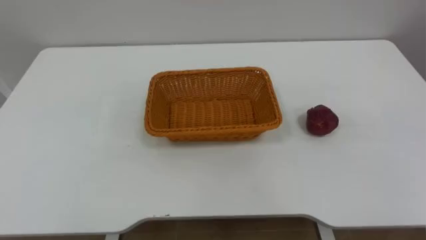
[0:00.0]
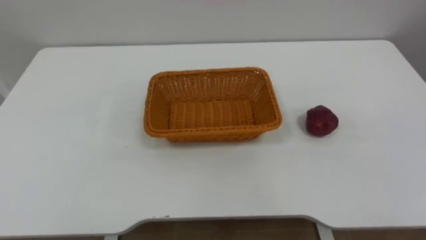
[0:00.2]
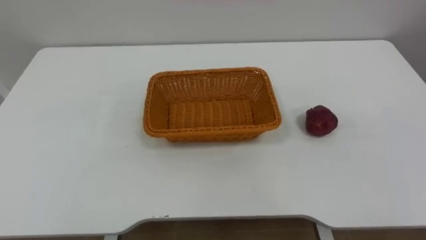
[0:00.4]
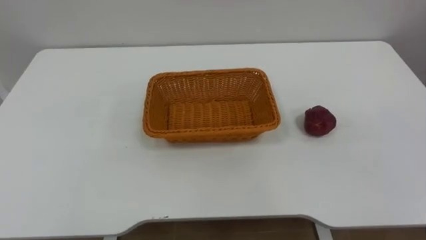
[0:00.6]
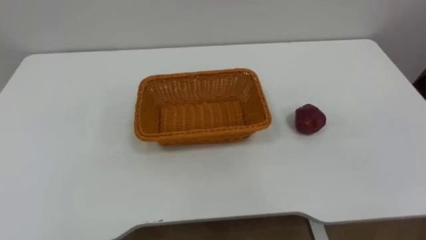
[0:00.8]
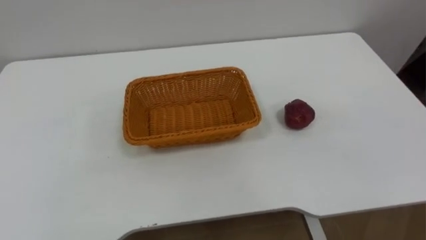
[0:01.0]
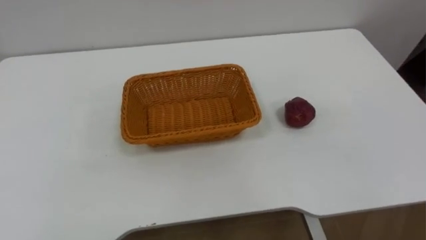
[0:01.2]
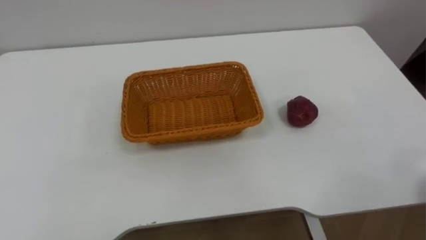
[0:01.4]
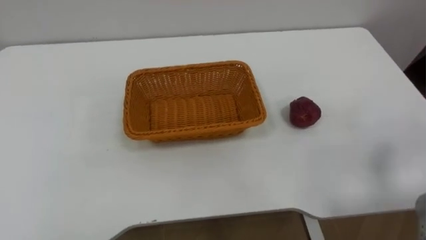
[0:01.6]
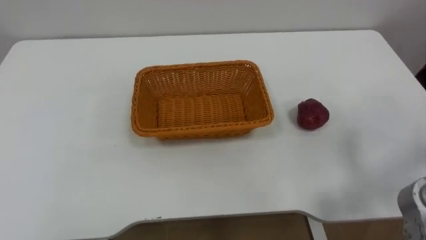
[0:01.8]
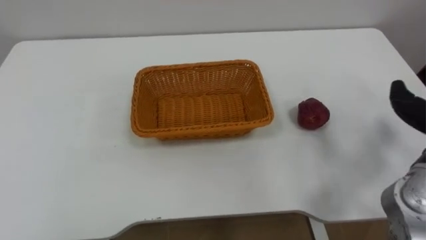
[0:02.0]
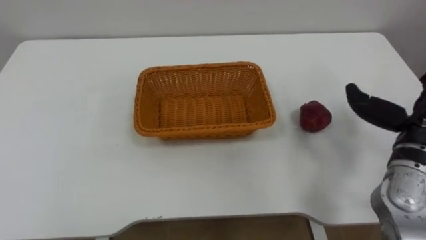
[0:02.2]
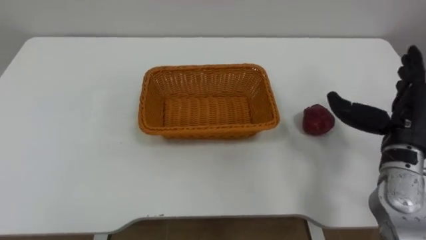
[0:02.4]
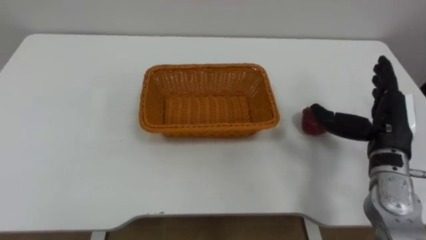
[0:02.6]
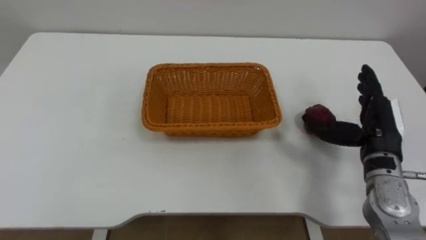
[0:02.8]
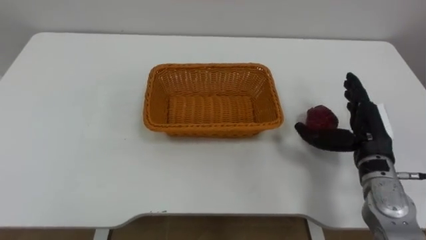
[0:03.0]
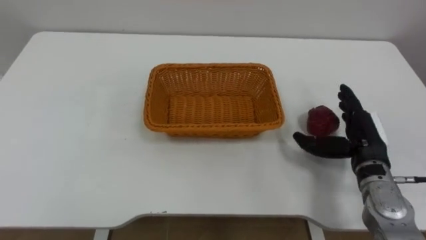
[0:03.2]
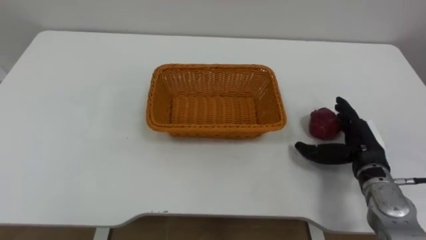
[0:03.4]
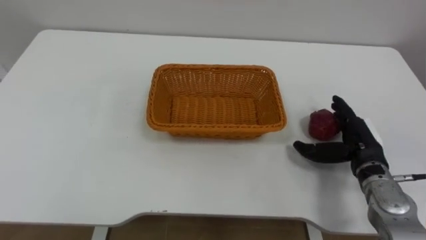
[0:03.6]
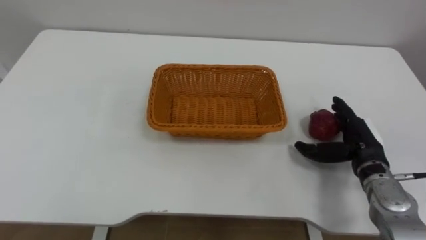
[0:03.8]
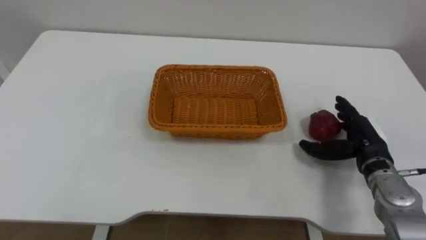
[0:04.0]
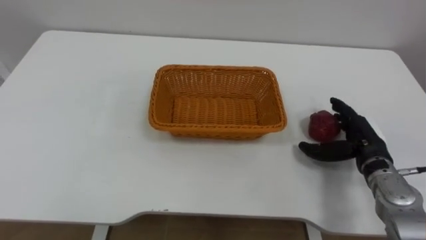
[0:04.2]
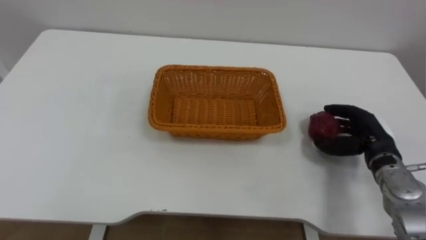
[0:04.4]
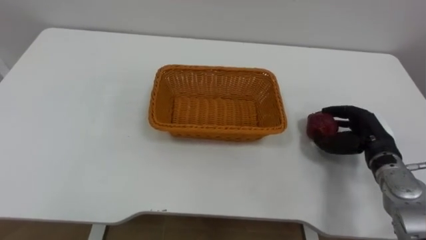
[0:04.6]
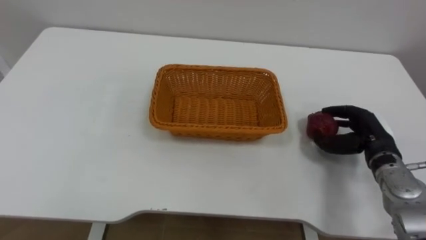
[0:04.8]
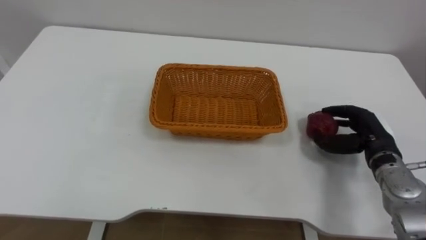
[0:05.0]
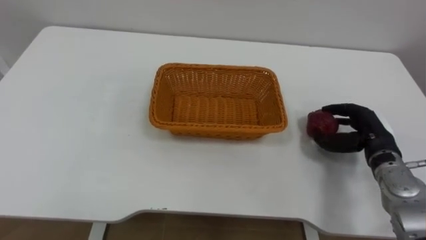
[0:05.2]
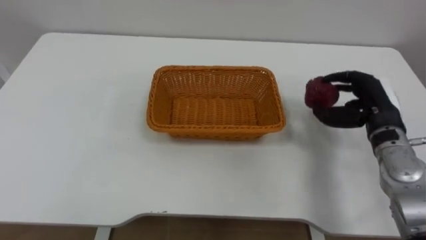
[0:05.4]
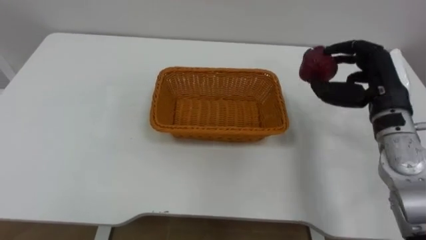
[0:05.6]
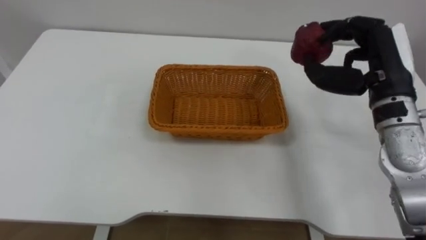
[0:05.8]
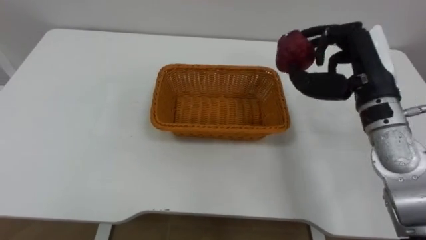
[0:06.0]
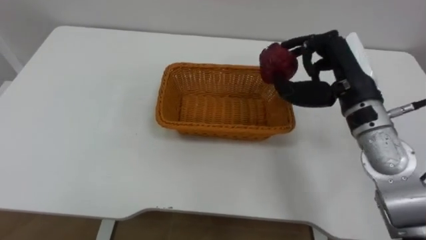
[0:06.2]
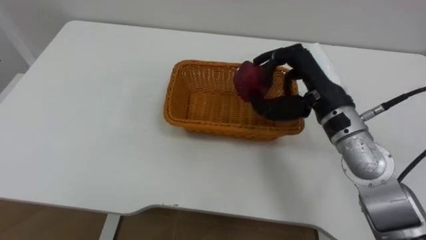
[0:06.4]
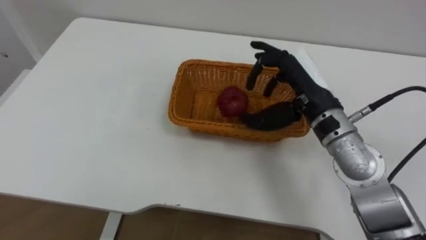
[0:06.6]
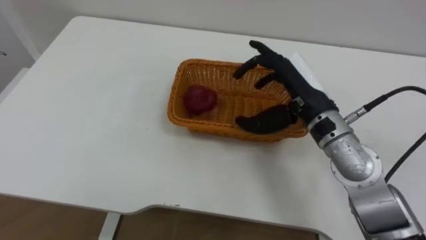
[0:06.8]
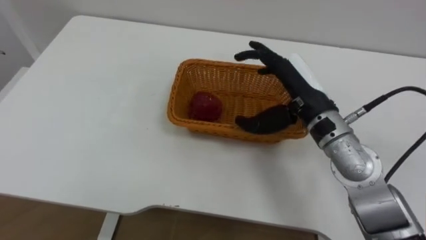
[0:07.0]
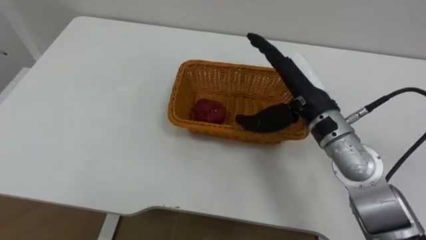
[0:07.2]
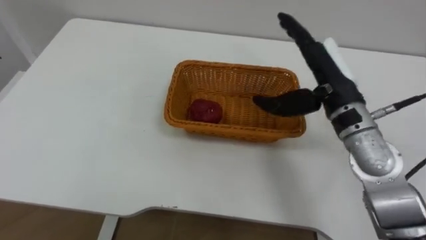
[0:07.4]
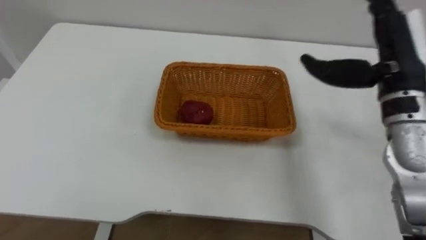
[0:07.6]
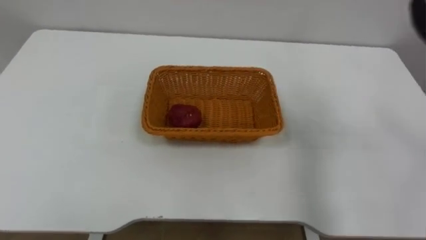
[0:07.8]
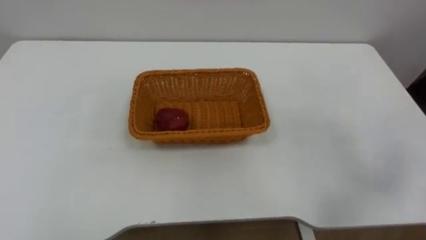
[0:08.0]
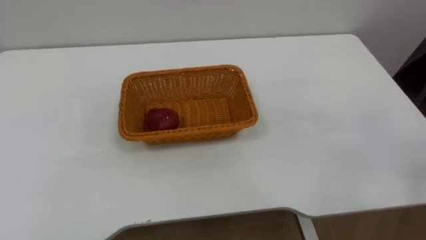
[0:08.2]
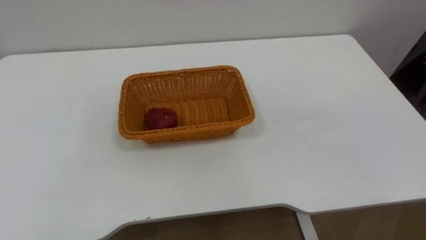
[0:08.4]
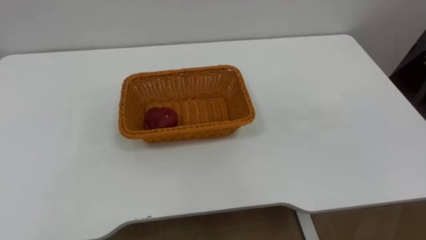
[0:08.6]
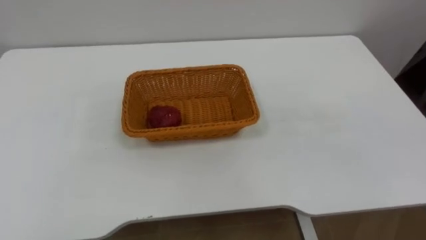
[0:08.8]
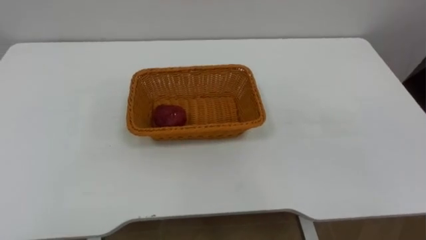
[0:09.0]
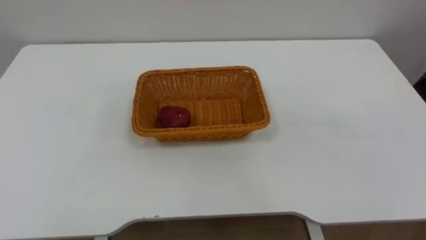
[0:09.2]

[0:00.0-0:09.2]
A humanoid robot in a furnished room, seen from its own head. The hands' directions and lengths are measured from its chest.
Task of the whole recording: Pick the apple and place it in the box.
0:03.0 to 0:04.6: The right hand moves downward, approximately 5 cm, and closes up.
0:04.6 to 0:06.2: The right hand moves upward and to the left, about 20 cm.
0:06.2 to 0:07.6: The right hand moves some 5 cm to the left and comes back, and opens up.

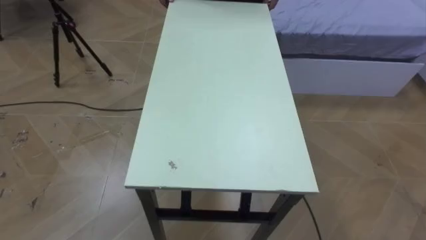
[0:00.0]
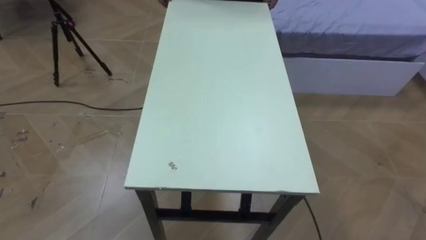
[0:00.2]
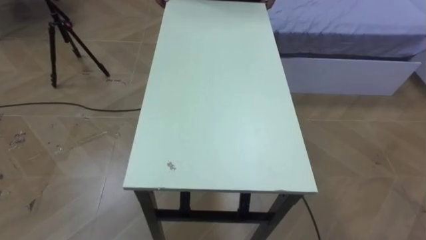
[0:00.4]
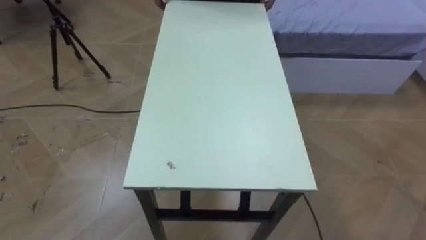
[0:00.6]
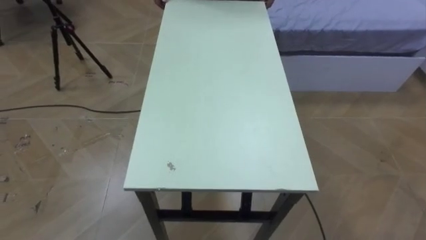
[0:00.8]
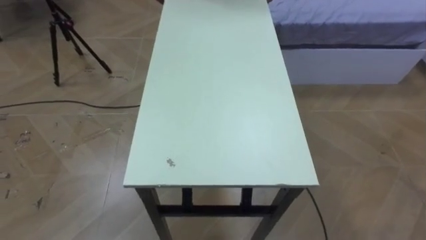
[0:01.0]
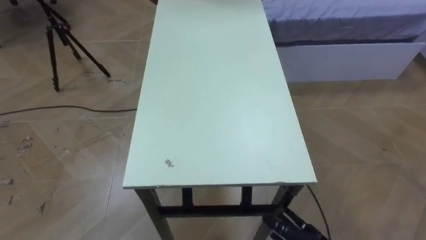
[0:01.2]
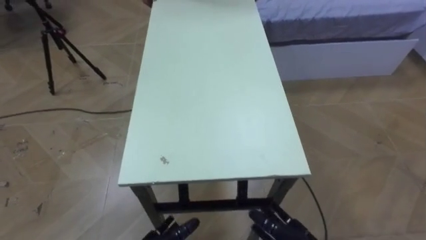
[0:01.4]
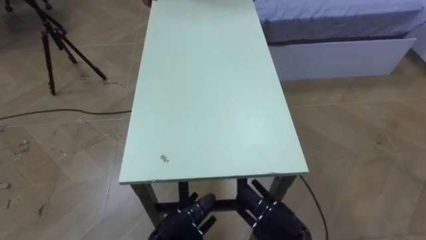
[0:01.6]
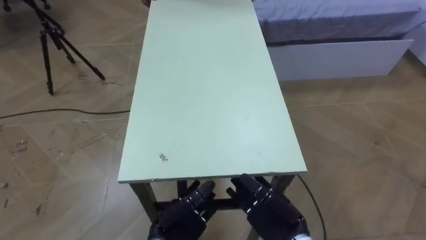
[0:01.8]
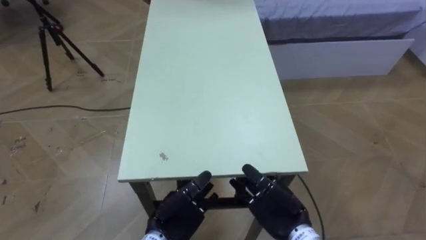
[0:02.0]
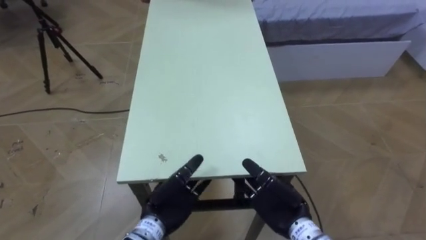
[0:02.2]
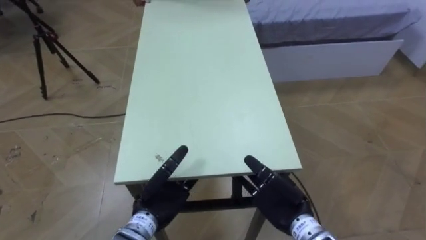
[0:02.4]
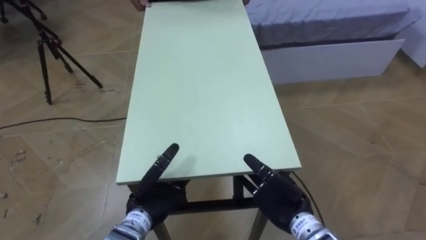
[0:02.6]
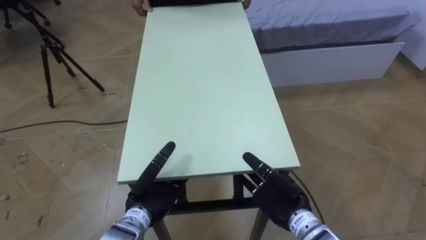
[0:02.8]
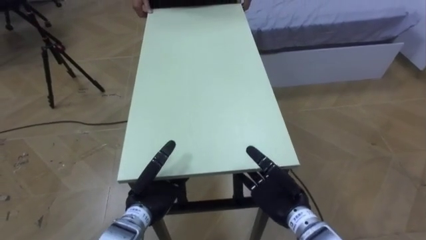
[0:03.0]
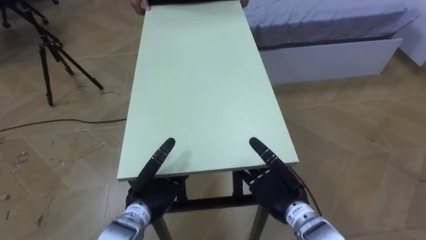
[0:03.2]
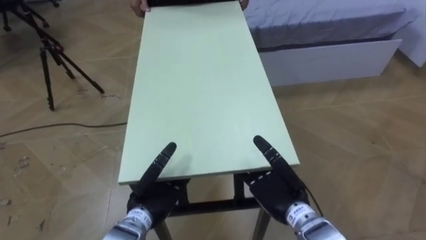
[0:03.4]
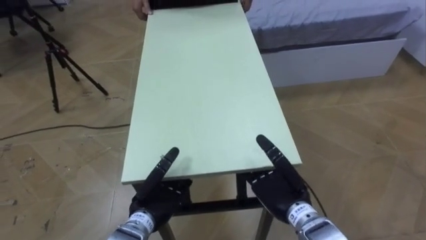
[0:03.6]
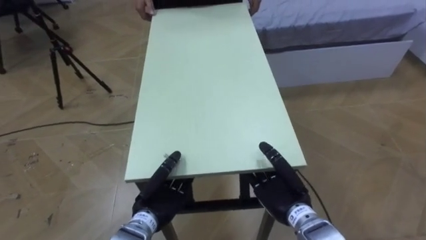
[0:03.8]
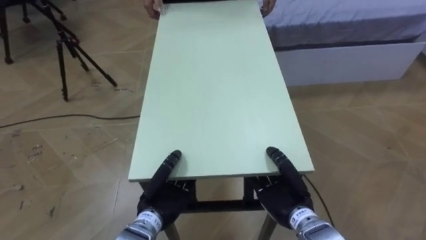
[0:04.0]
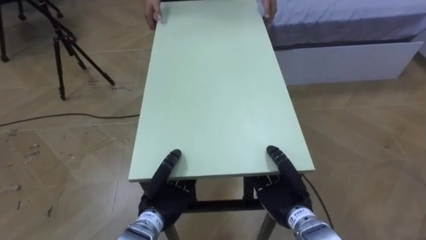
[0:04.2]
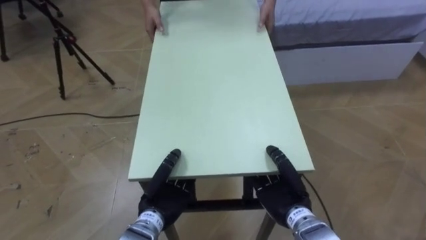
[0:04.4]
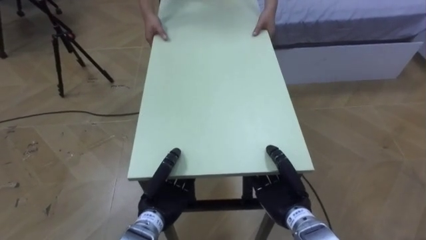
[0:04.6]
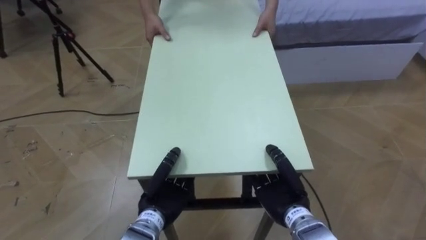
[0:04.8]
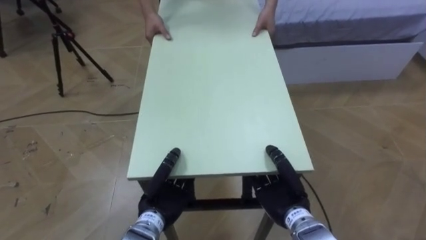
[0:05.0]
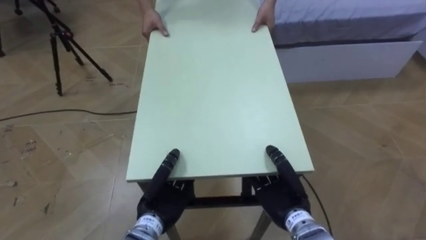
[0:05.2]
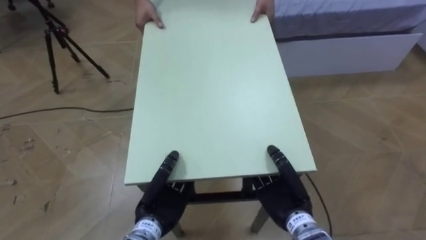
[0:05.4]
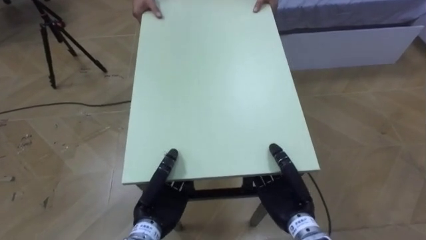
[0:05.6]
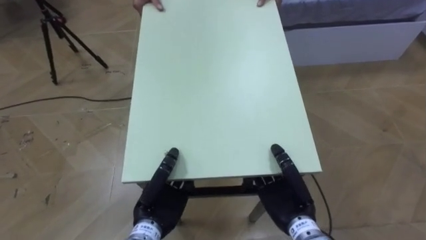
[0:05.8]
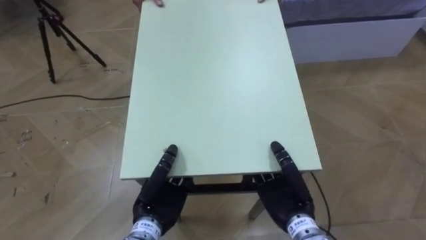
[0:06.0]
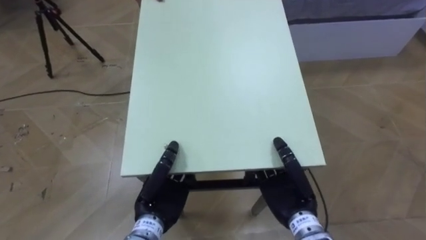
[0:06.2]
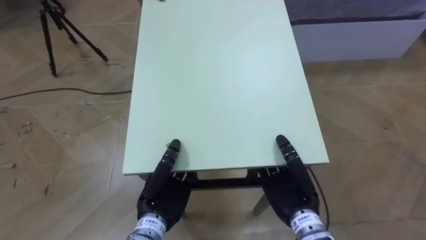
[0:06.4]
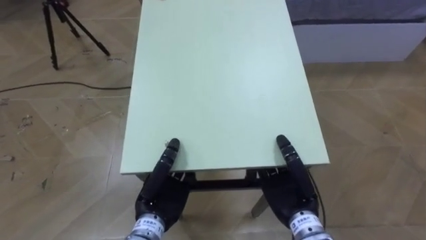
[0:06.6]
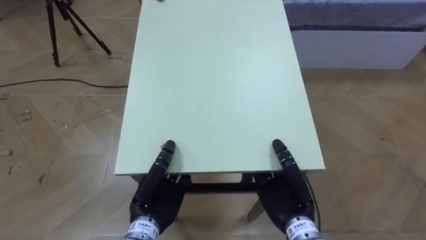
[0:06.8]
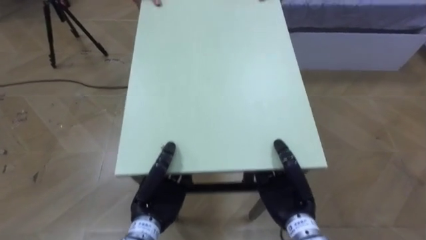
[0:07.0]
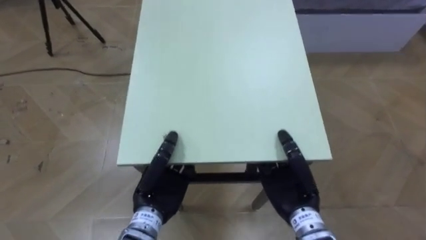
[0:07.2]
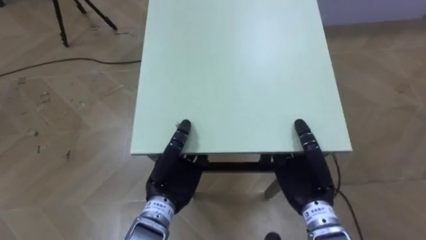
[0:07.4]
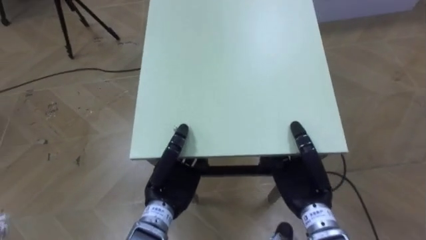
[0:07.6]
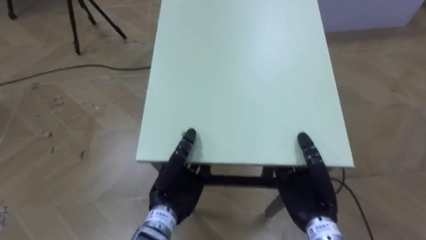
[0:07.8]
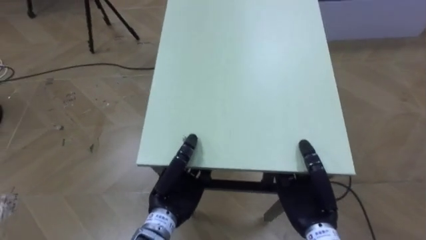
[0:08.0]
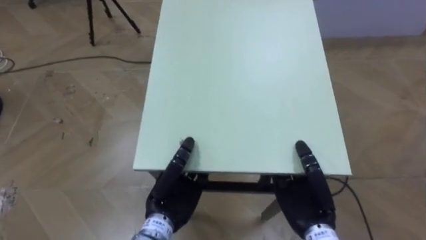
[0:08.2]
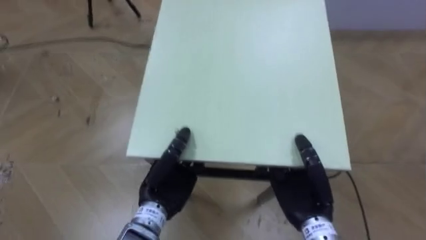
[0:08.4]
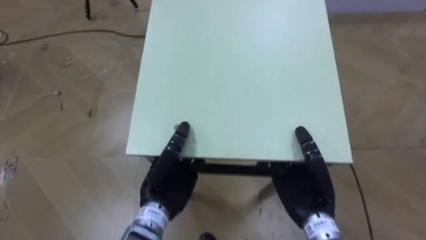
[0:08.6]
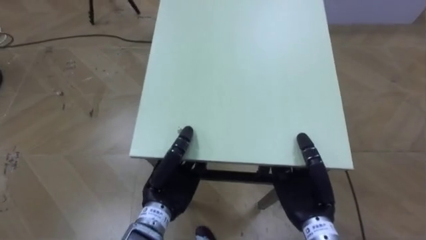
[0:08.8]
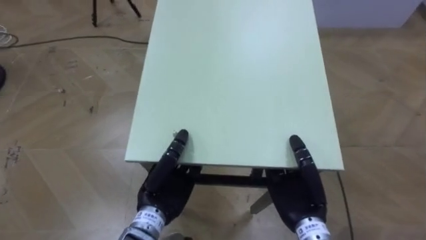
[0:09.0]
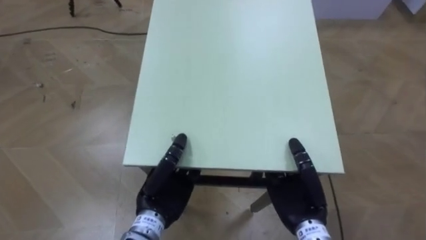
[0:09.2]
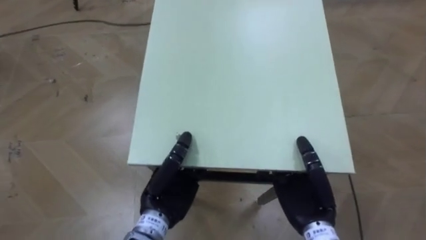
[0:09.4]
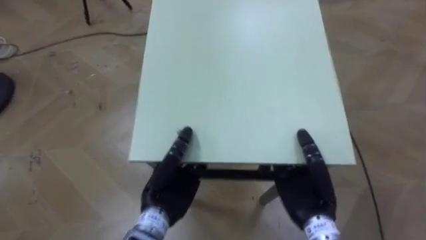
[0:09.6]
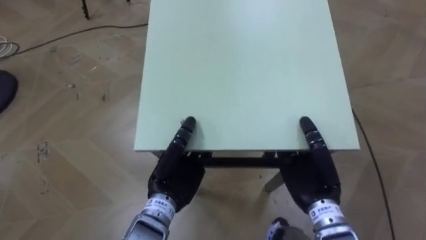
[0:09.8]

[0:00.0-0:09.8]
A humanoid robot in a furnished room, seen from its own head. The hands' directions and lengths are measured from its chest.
Task of the whole recording: Move the table to the back left with someone.
0:02.8 to 0:04.2: The left hand closes its fingers; the right hand closes.
